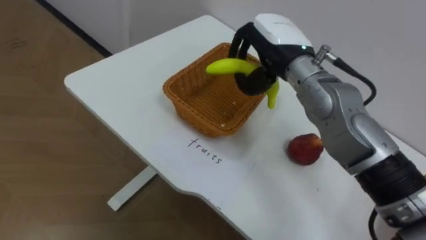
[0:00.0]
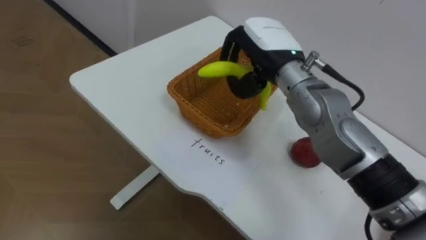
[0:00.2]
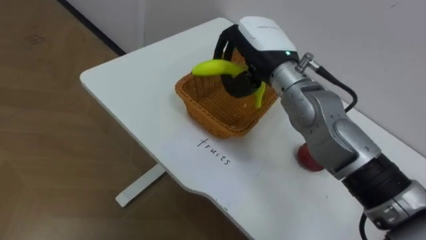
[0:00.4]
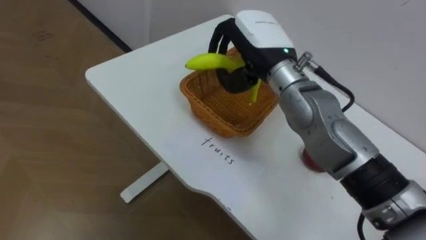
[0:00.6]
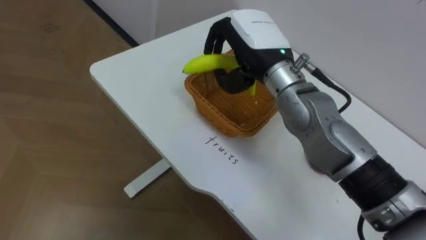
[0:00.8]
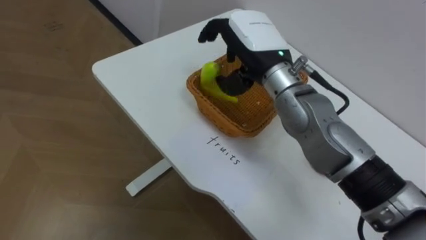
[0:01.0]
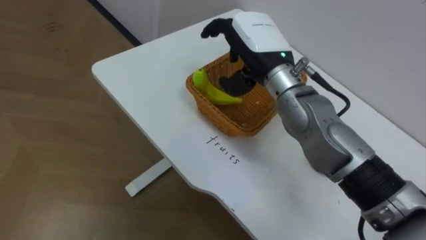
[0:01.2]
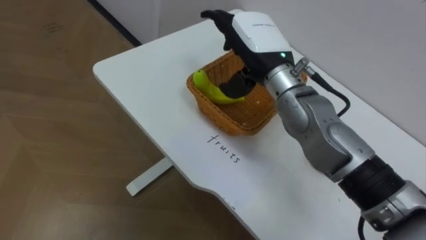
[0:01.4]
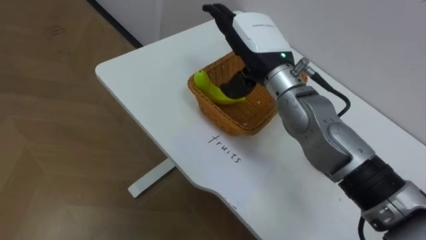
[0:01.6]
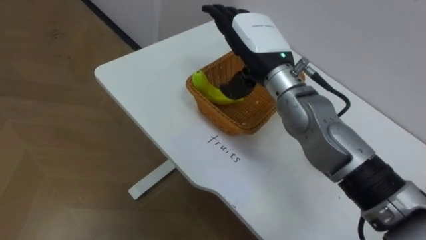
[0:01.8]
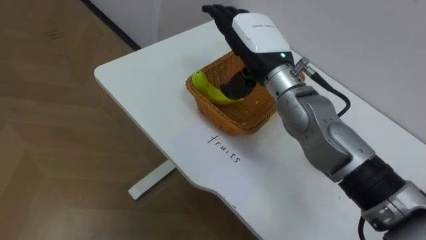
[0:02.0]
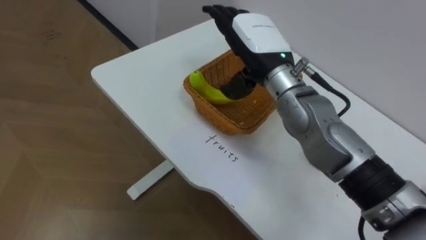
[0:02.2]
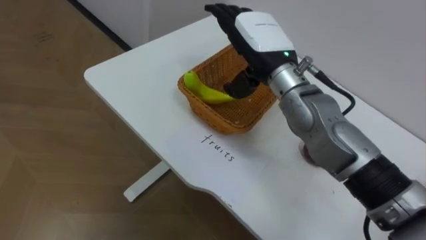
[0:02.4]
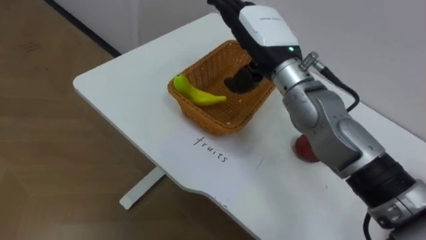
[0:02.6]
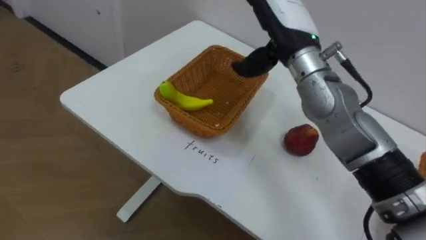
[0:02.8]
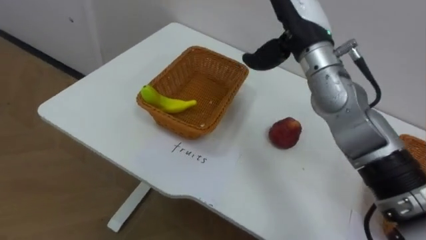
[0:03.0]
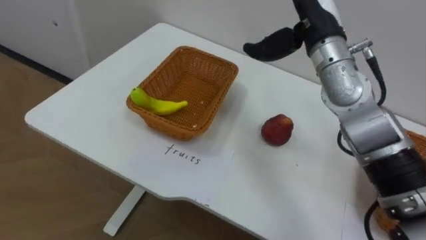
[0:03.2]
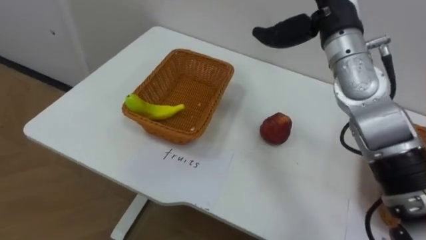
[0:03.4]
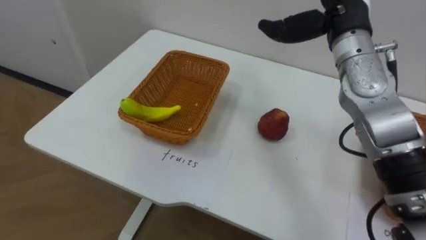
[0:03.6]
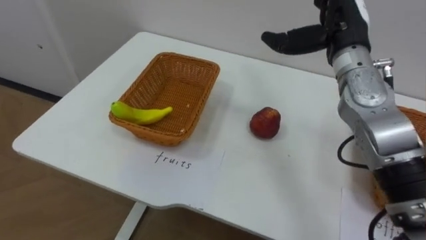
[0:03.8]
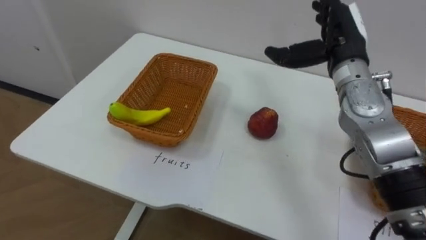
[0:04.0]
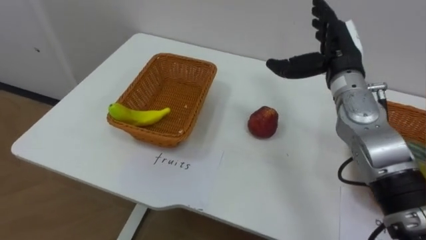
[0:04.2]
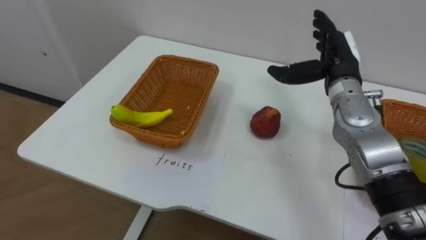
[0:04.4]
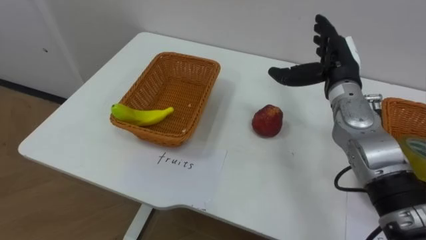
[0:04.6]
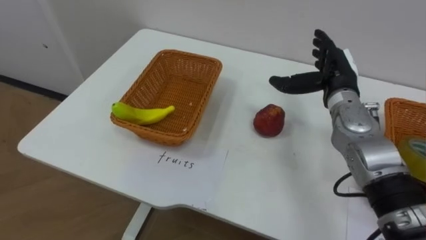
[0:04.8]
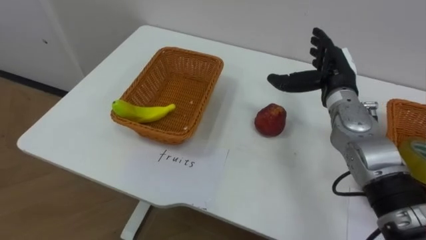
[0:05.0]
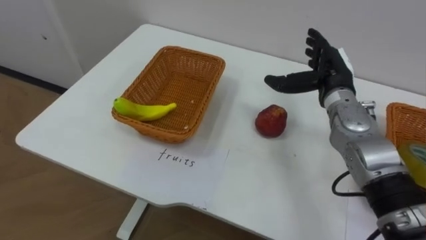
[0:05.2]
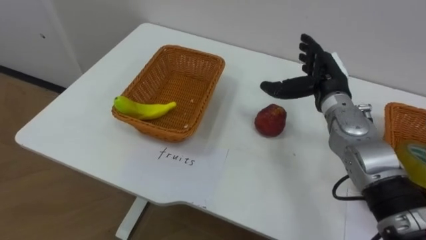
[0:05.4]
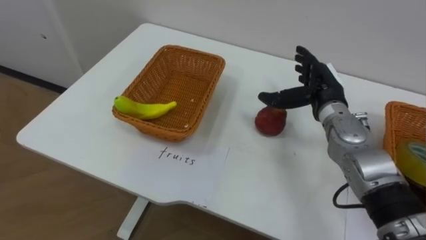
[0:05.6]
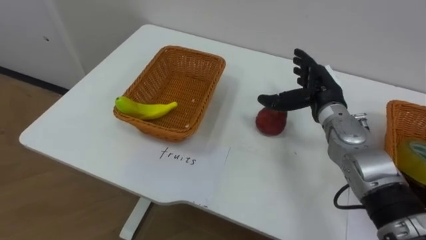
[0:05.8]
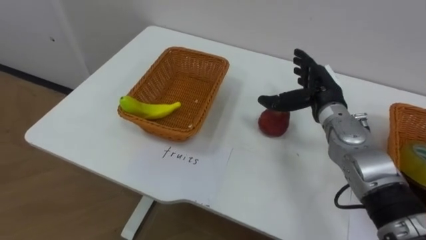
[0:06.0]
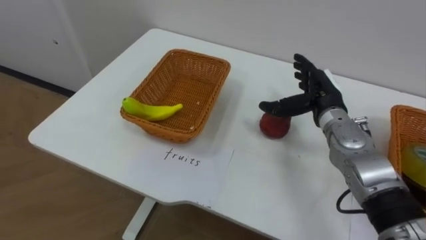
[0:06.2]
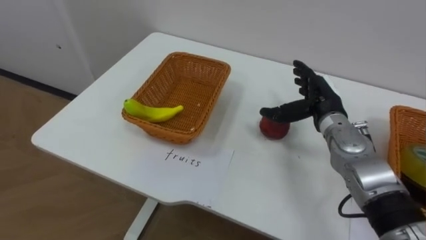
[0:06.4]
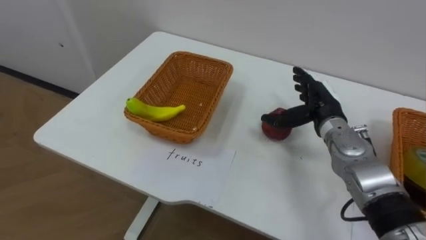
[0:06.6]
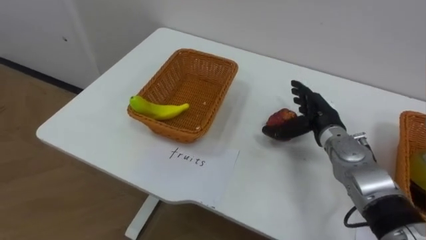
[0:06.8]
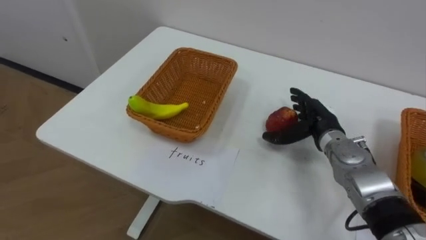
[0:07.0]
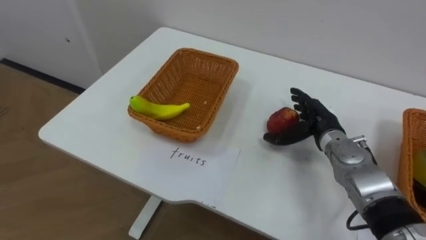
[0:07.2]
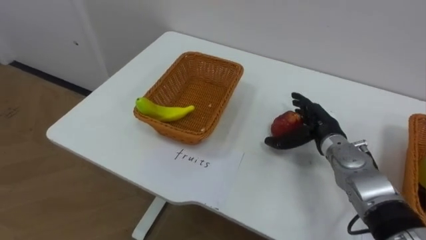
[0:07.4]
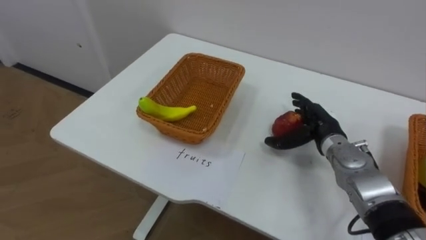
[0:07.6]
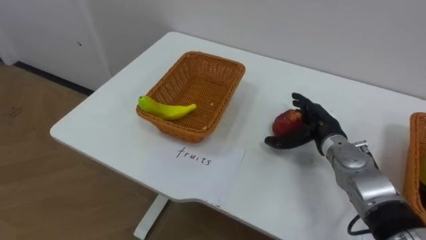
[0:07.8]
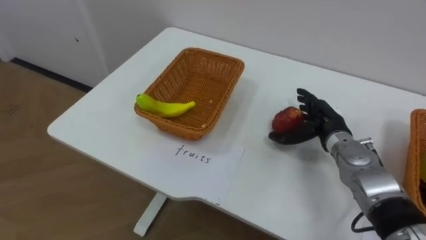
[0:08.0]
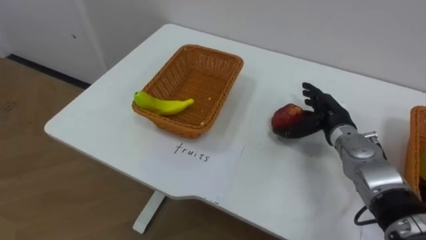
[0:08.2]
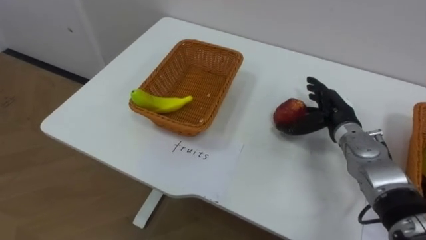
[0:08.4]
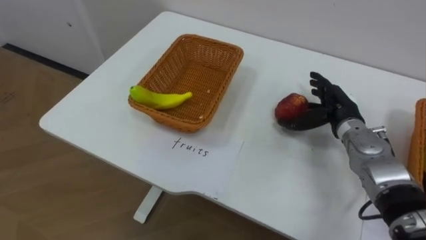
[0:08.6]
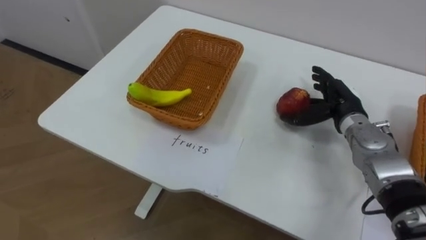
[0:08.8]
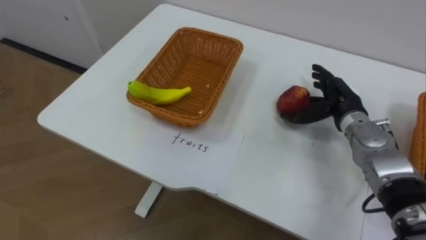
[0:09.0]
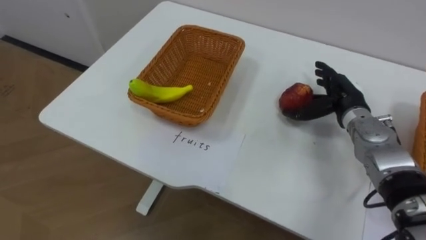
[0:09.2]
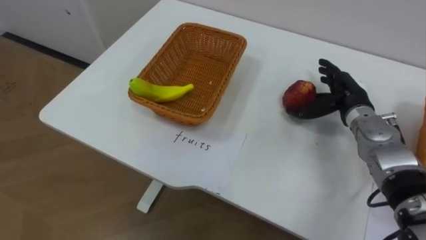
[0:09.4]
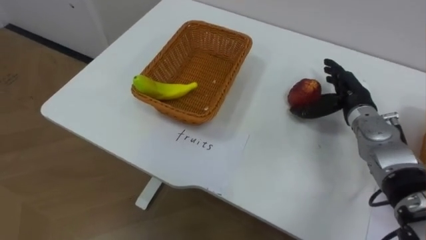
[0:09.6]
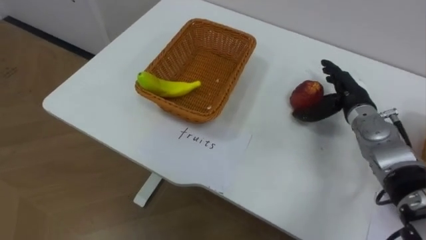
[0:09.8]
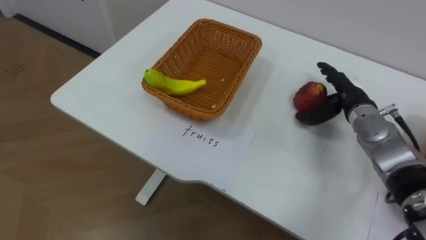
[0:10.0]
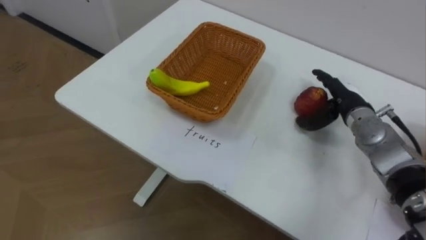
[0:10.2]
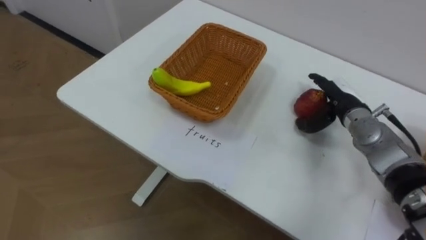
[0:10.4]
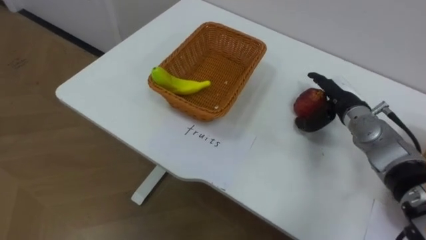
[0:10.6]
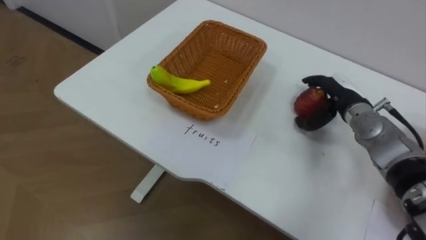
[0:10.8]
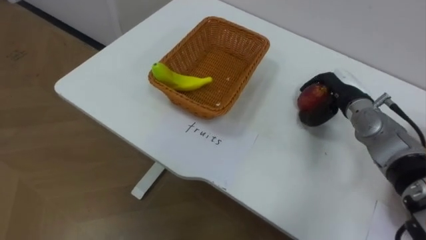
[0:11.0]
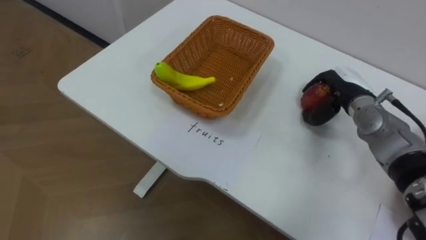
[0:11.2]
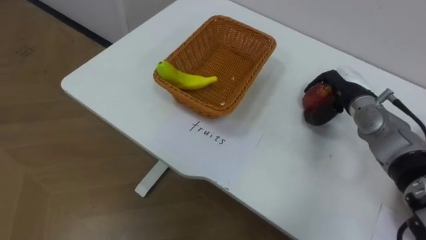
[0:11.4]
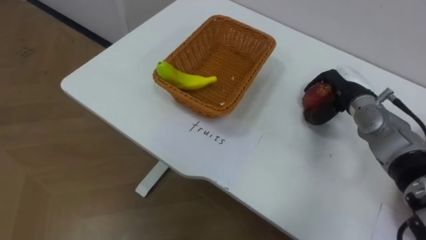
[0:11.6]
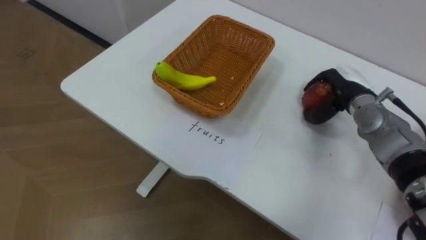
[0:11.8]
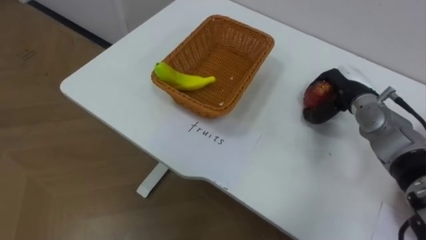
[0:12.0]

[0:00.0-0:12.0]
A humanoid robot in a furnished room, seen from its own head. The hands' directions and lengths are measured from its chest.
Task of the whole recording: Separate the items on the table and place them into the two baskets.
0:00.0 to 0:01.6: The right hand opens its fingers.
0:01.6 to 0:03.0: The right hand is displaced to the right by roughly 5 cm.
0:03.0 to 0:04.4: The right hand heads downward and to the right, covering some 10 cm.
0:04.4 to 0:06.0: The right hand goes approximately 5 cm downward.
0:06.0 to 0:07.6: The right hand is displaced downward by some 5 cm.
0:07.6 to 0:09.0: The right hand ends up about 5 cm from where it was.
0:10.4 to 0:12.0: The right hand closes.

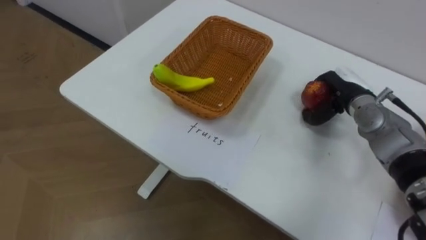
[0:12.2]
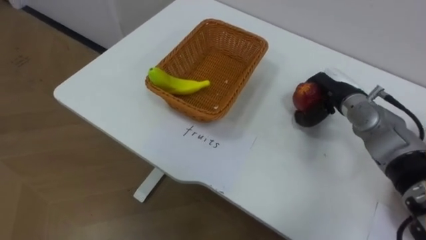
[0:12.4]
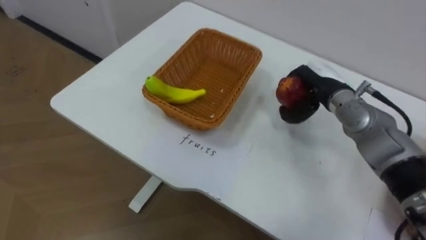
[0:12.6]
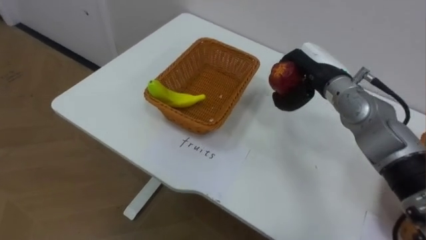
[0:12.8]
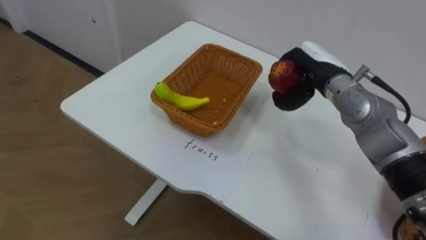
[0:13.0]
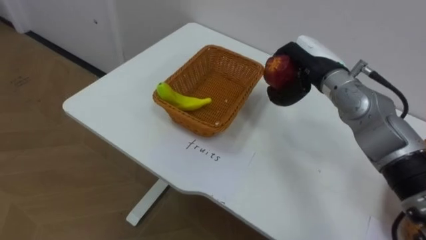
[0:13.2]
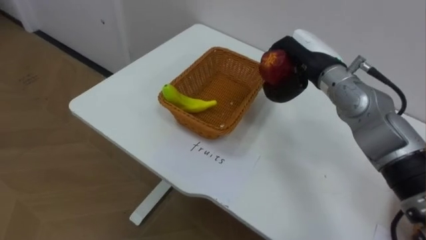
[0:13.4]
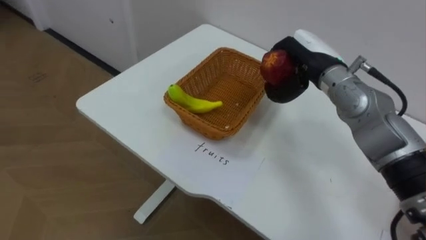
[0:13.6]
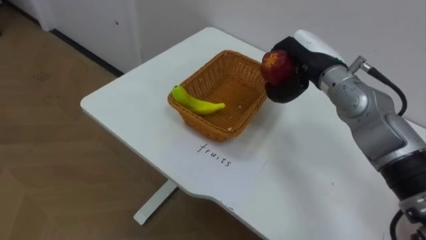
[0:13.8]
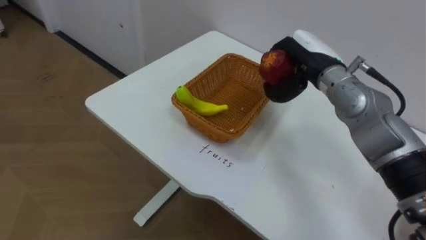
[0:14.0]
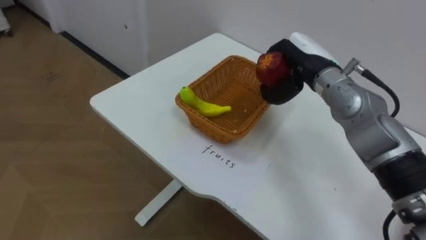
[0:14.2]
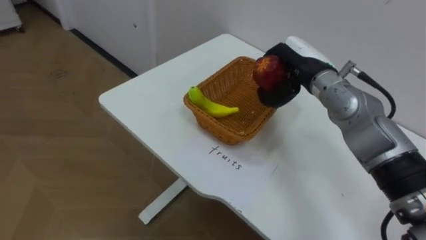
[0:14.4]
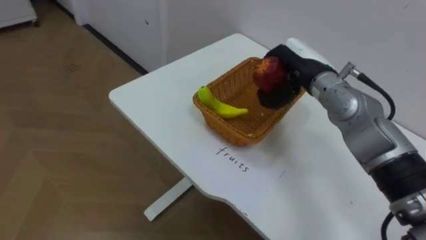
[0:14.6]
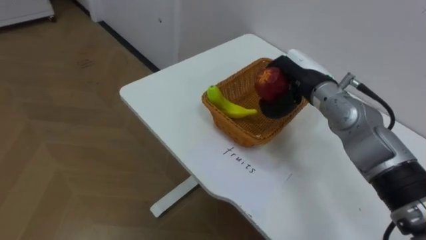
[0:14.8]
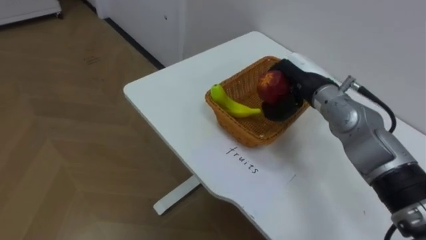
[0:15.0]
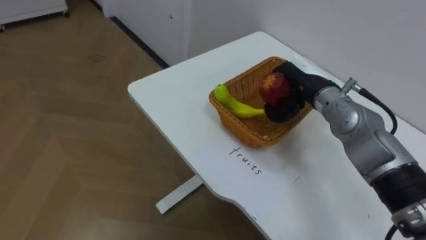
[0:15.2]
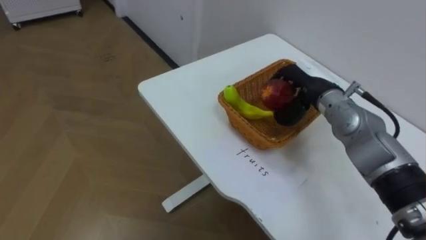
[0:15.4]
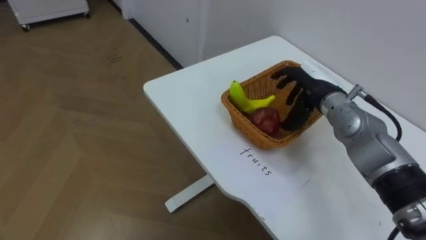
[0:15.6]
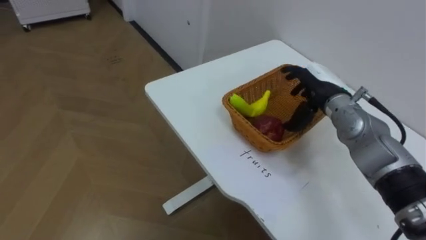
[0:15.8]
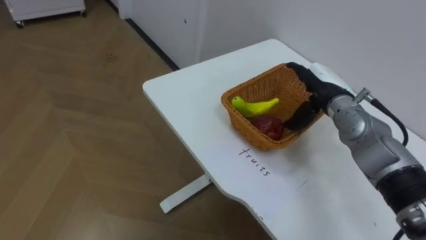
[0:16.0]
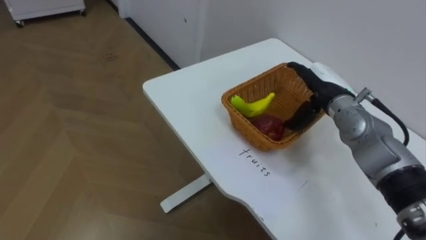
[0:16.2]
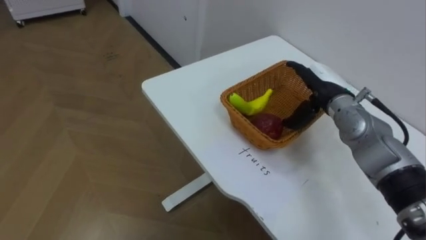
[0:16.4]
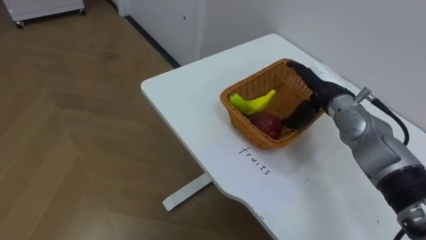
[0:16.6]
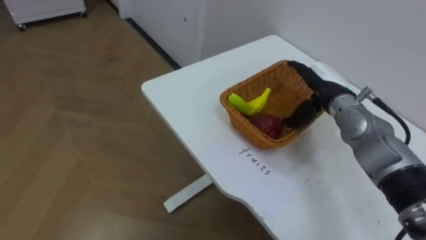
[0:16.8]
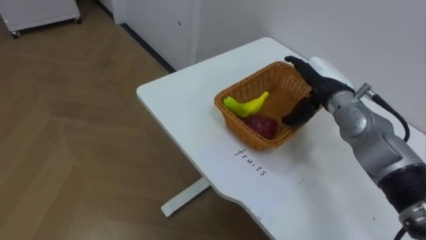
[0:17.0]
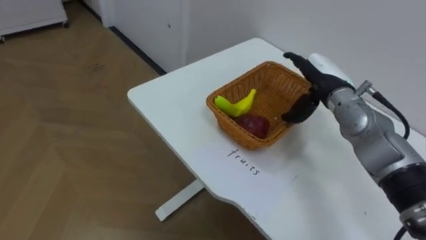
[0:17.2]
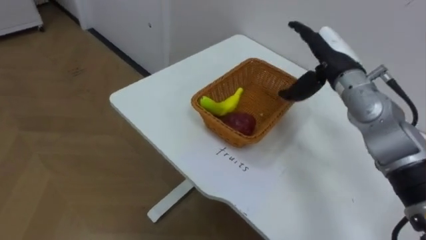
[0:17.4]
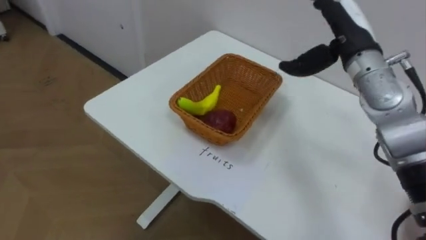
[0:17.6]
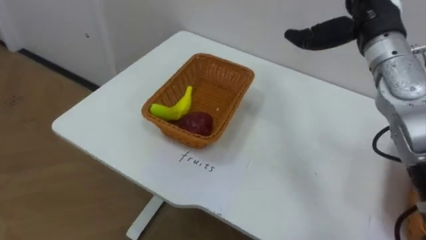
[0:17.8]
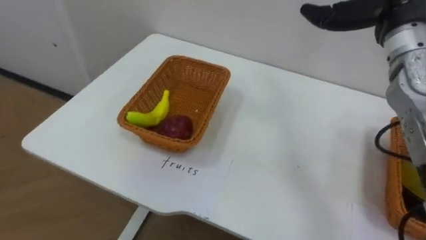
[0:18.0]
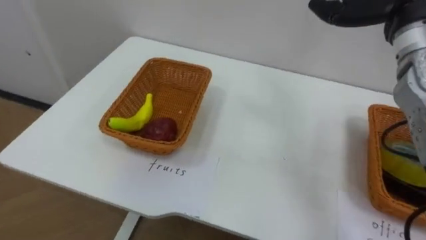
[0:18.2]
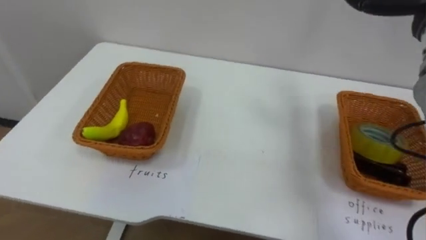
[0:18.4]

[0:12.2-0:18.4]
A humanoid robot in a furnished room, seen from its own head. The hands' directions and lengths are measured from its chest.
Task of the whole recording: Separate the items on the table and place them into the two baskets.
0:12.2 to 0:13.8: The right hand goes roughly 10 cm to the left and upward.
0:13.8 to 0:15.4: The right hand is displaced downward by about 5 cm.
0:15.4 to 0:16.8: The right hand opens its fingers.
